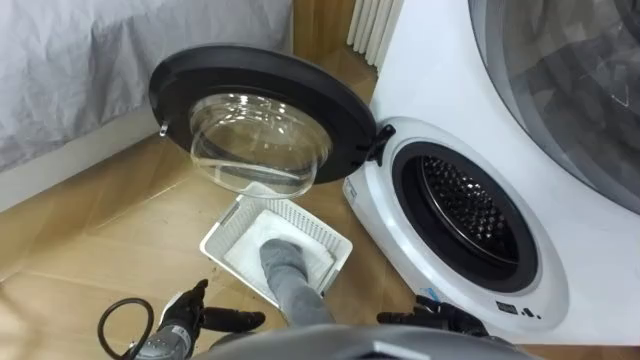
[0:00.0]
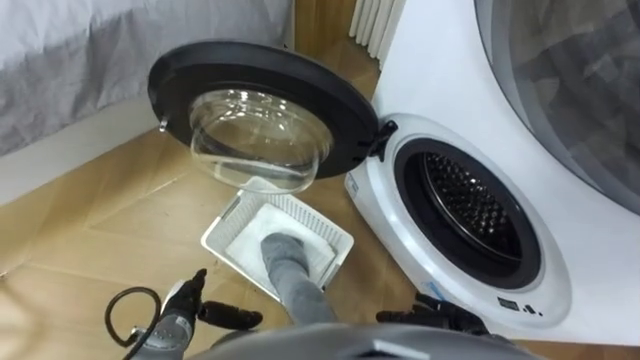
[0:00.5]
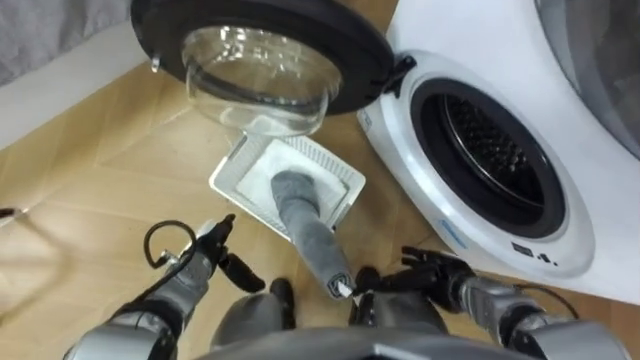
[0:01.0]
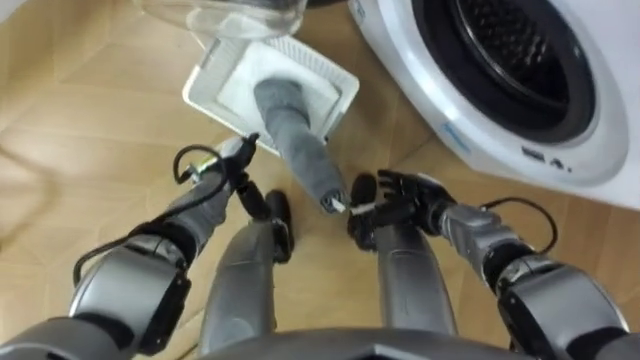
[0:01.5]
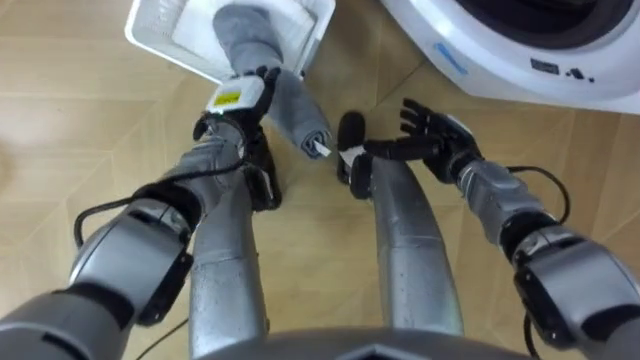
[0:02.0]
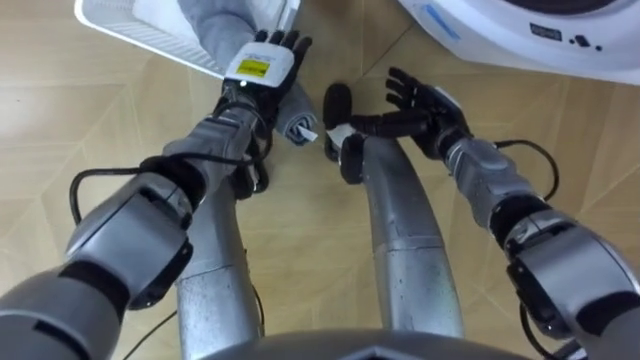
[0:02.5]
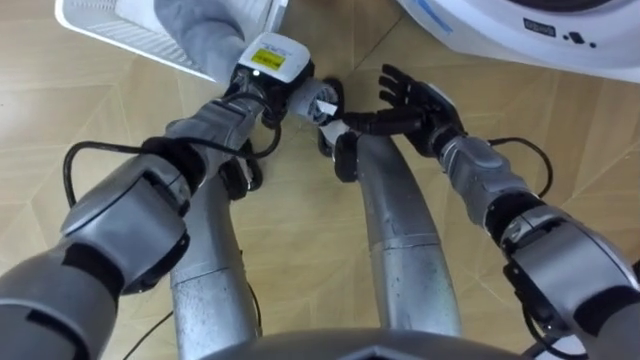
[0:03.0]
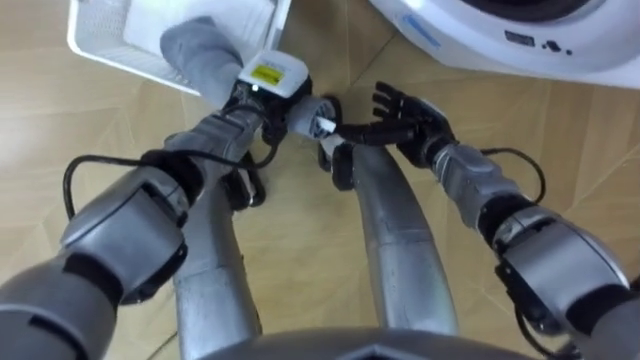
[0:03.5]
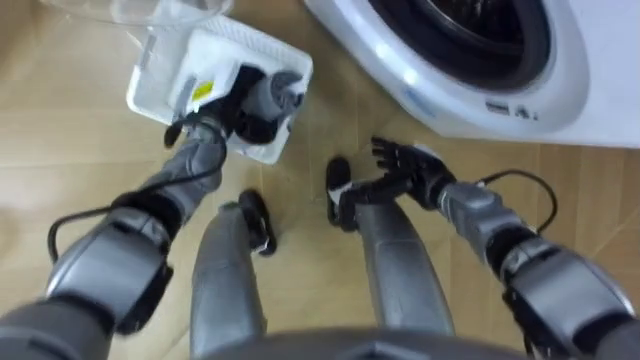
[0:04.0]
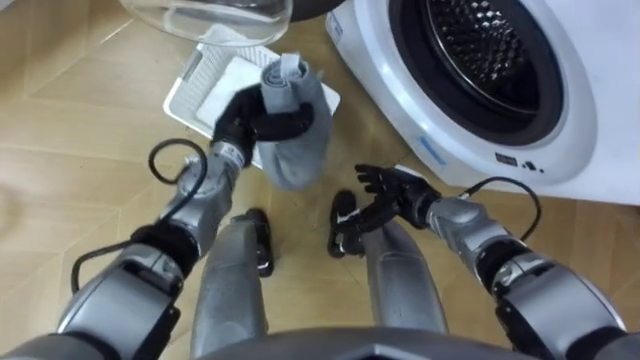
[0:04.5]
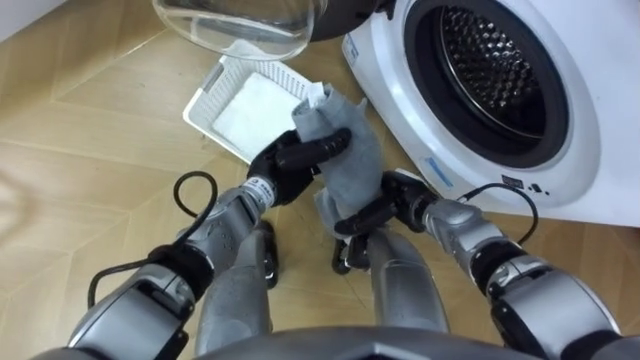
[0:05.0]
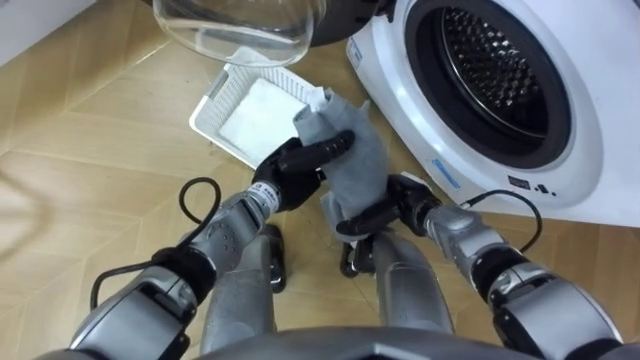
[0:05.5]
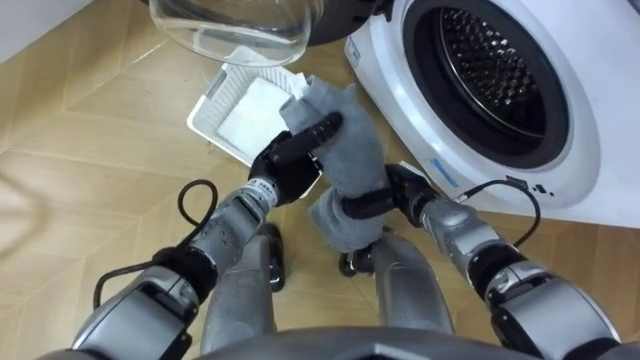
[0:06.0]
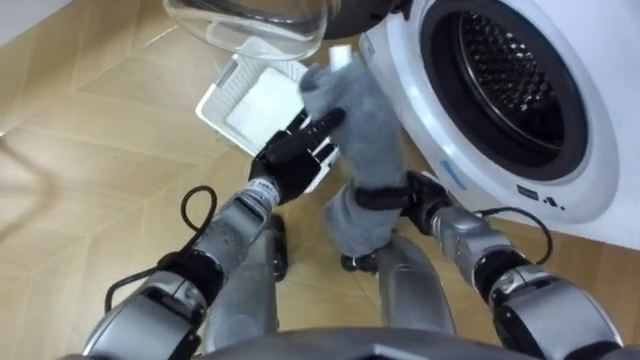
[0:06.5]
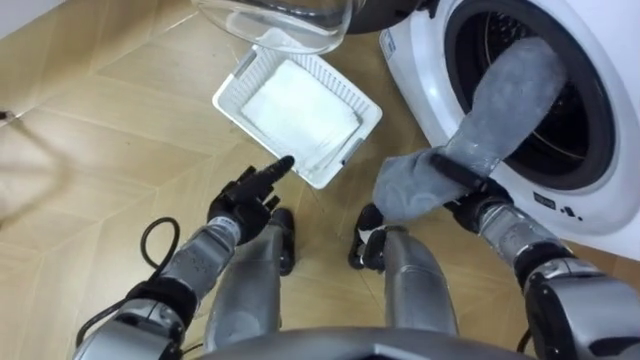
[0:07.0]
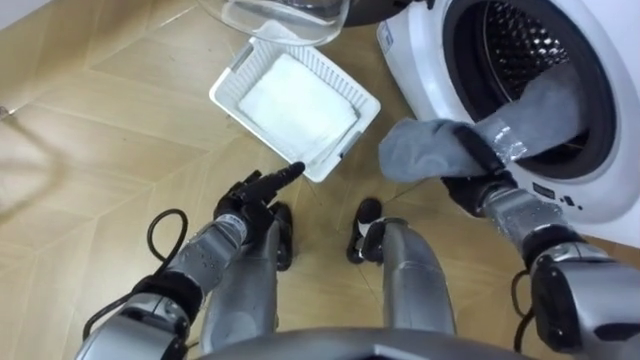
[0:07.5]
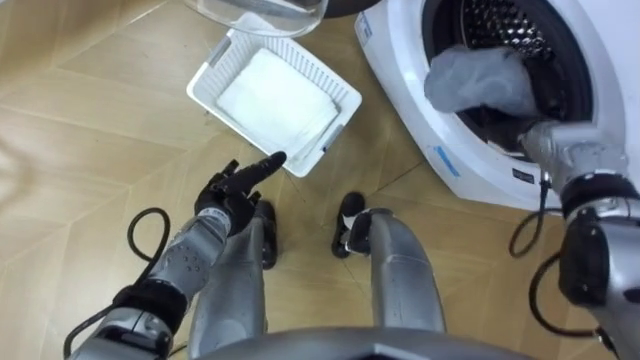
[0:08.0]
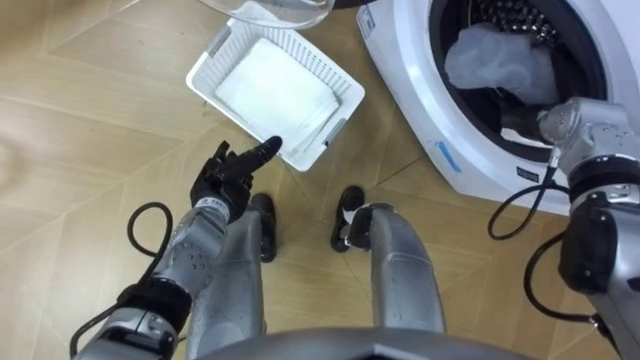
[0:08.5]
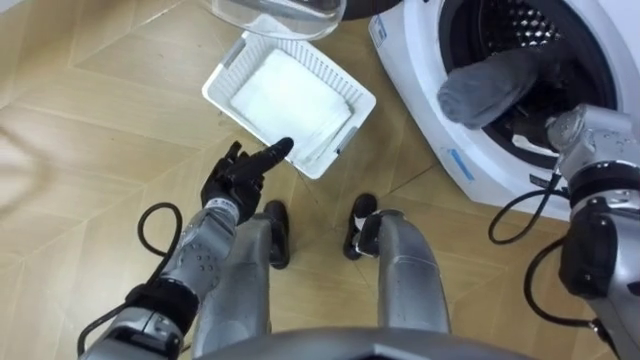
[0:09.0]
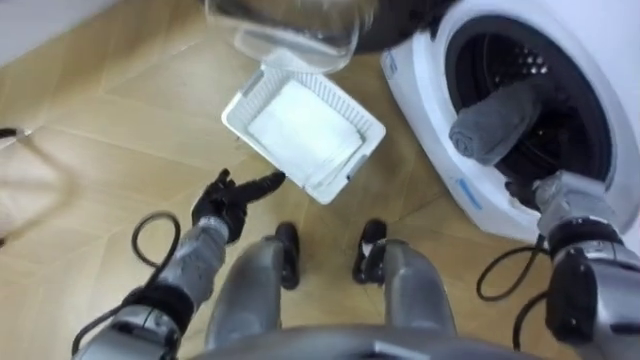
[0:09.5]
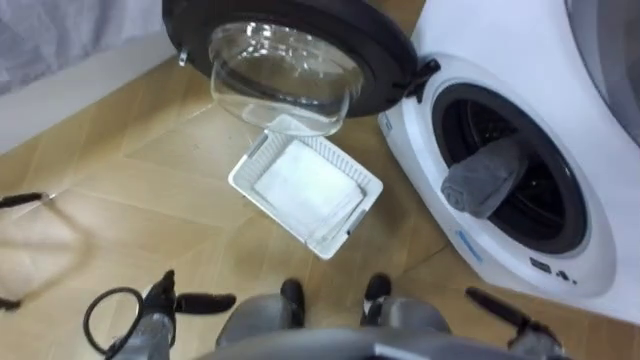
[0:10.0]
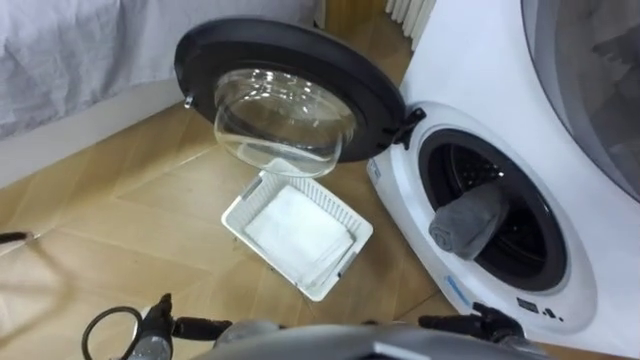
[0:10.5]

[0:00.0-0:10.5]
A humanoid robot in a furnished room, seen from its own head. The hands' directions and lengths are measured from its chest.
Task of the whole recording: Take the towel from the basket and put it into the washing machine.
0:02.0 to 0:04.0: The left hand reaches approximately 5 cm to the right, then returns, and closes.
0:04.0 to 0:06.5: The left hand moves to the right and backward, some 10 cm. Meanwhile the right hand closes its fingers.
0:06.5 to 0:08.5: The left hand goes about 10 cm to the left; the right hand goes about 20 cm to the right, upward and forward, and opens up.
0:08.5 to 0:10.5: The right hand is displaced backward and downward by about 35 cm; the left hand travels backward, to the left and downward by some 25 cm.

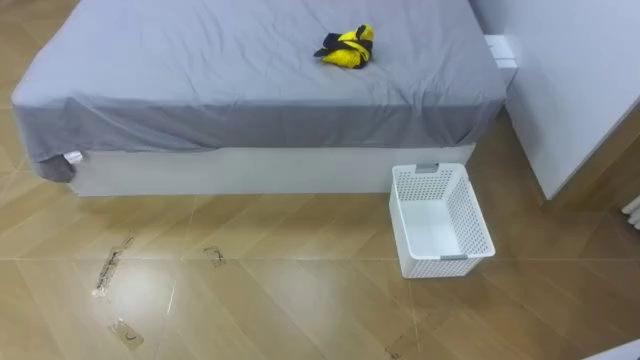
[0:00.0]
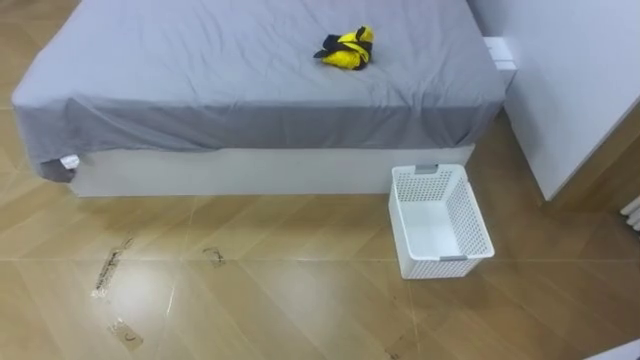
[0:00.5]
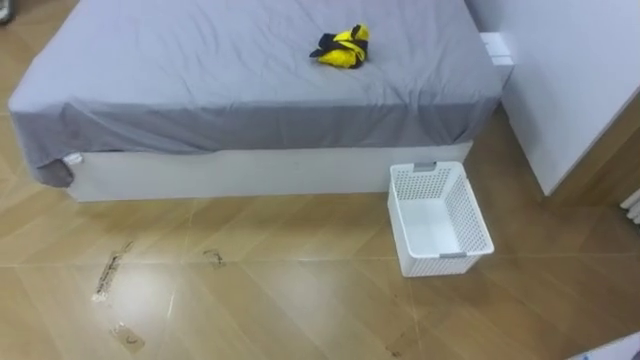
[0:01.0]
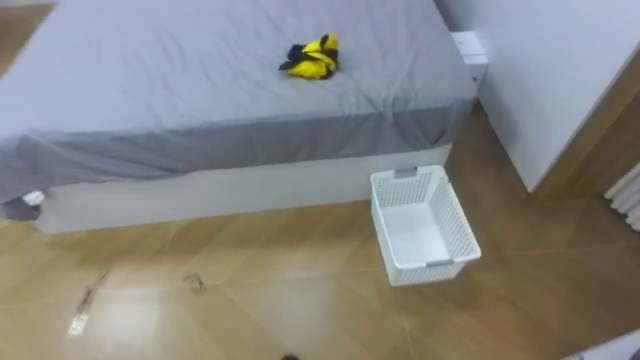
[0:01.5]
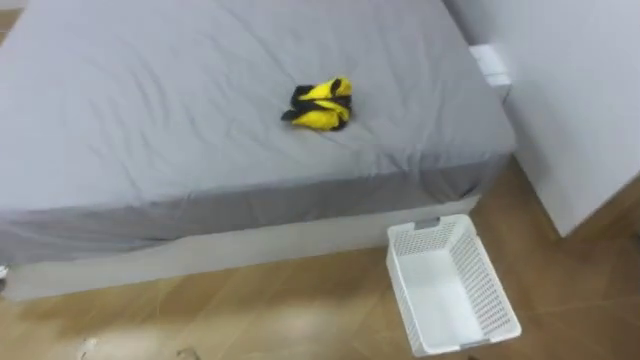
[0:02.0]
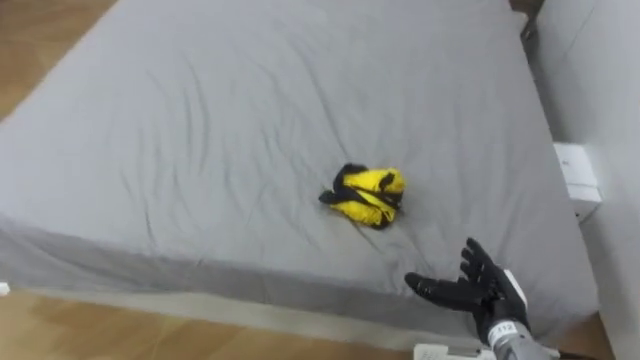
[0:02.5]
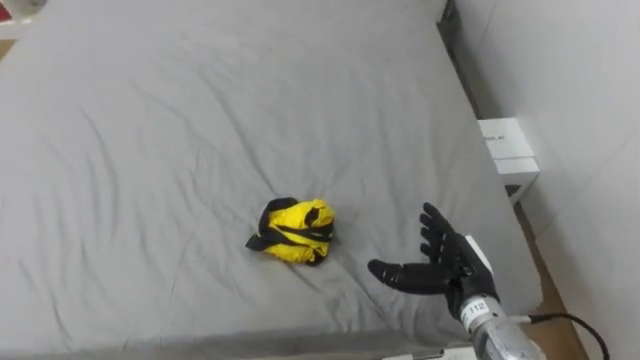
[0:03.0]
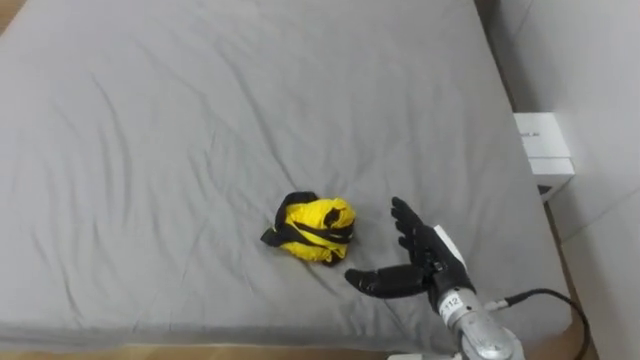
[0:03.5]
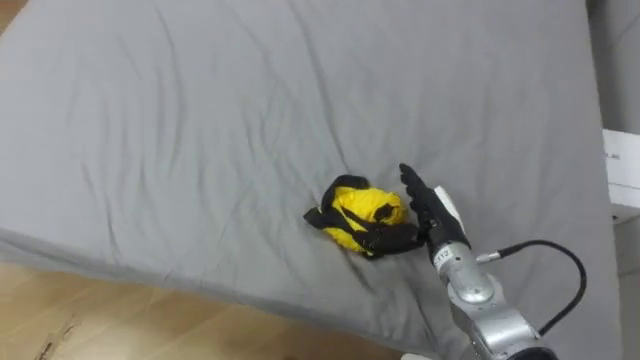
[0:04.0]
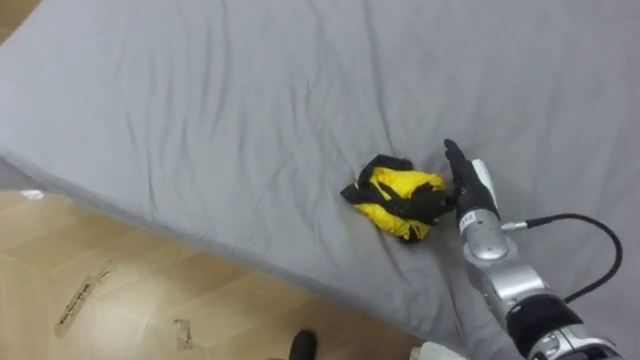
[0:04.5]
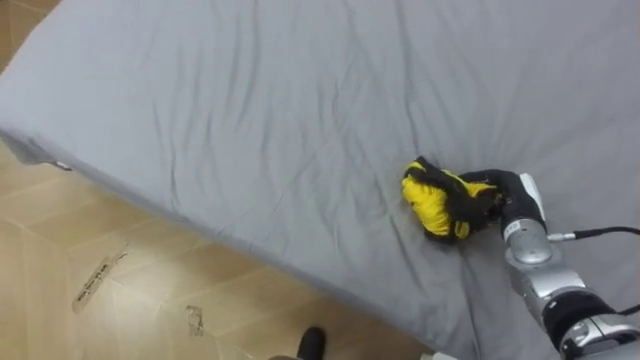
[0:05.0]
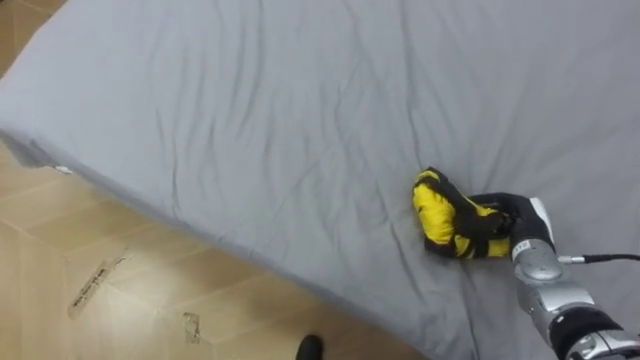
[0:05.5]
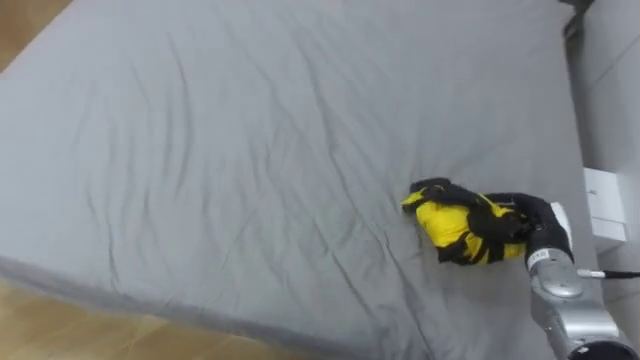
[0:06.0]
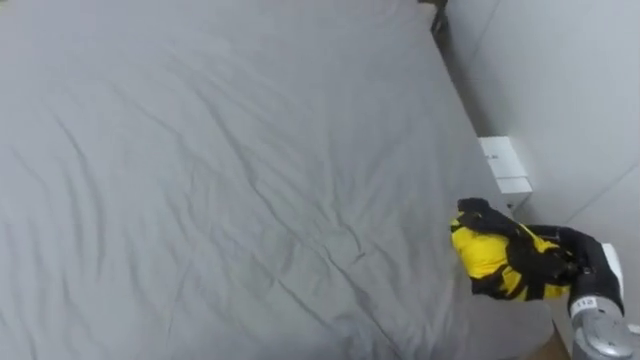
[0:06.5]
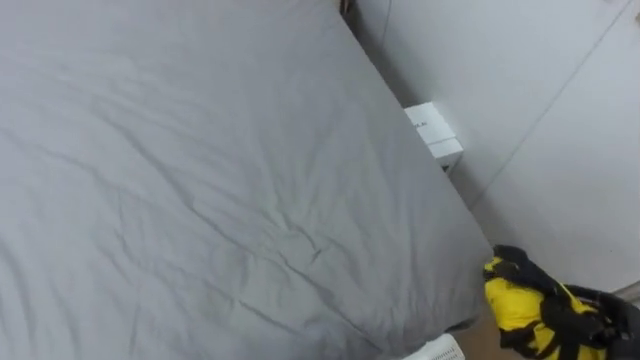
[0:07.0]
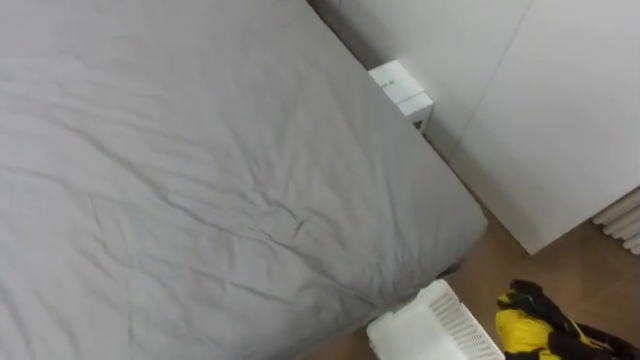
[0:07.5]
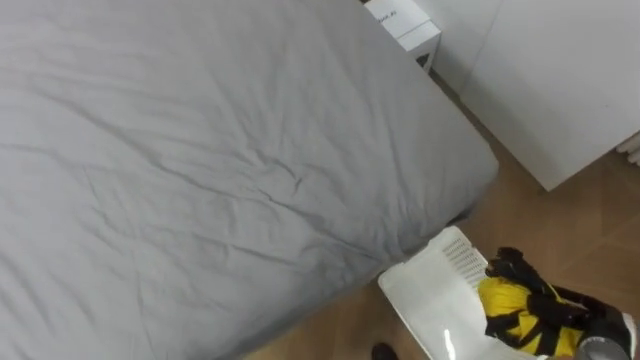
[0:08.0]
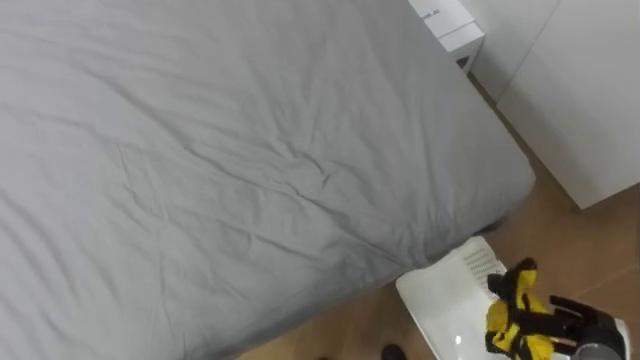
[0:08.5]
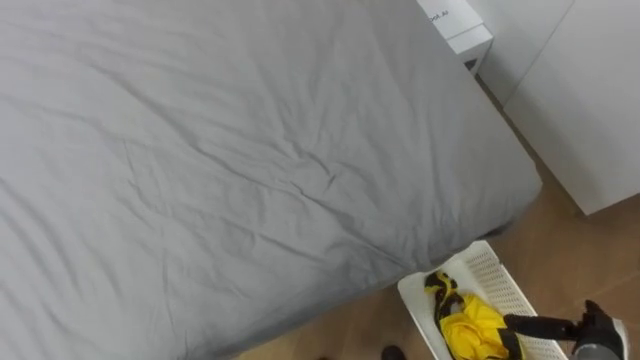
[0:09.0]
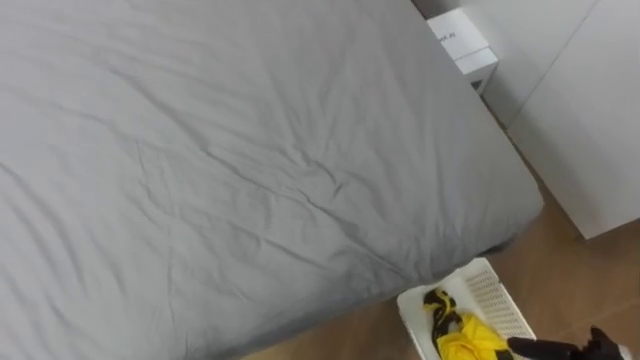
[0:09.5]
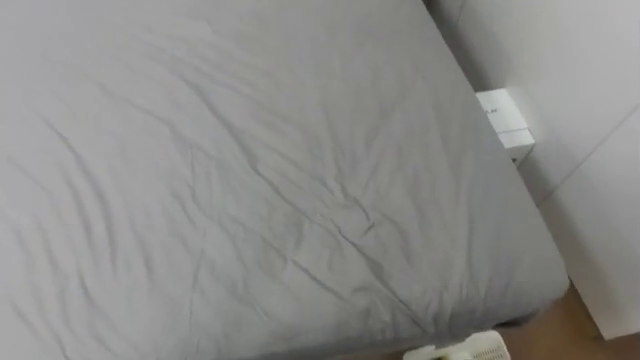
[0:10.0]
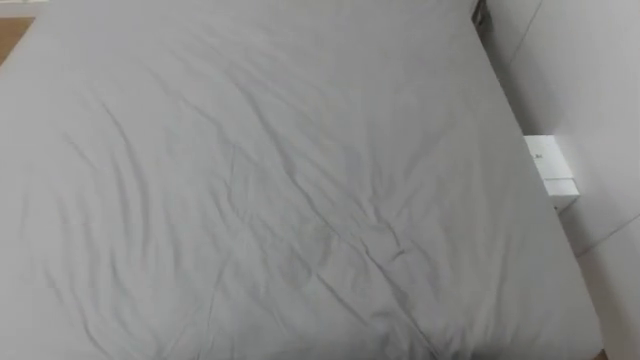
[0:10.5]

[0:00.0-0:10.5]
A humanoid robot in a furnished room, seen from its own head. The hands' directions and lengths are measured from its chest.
Task of the whole recording: Pick up the yellow clothes on the bed and place them into the white basket on the right.
0:04.0 to 0:06.5: The right hand travels to the right by about 20 cm, and closes its fingers.
0:08.5 to 0:10.5: The robot turns to its left by some 15 degrees.
